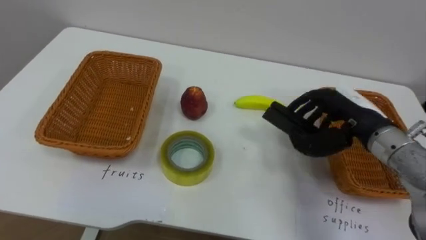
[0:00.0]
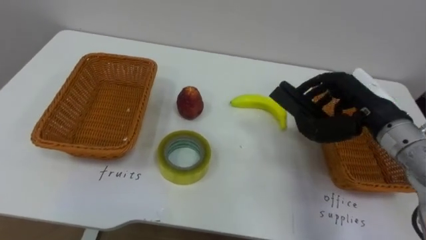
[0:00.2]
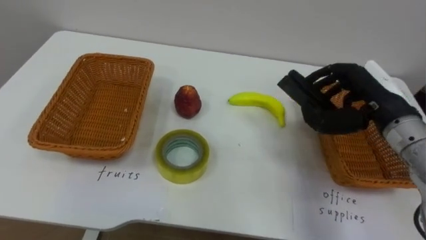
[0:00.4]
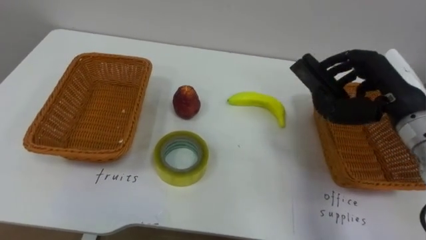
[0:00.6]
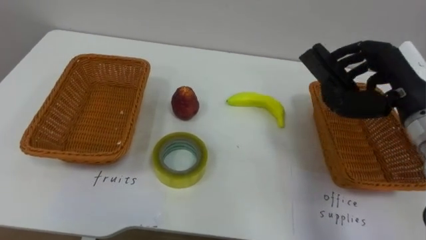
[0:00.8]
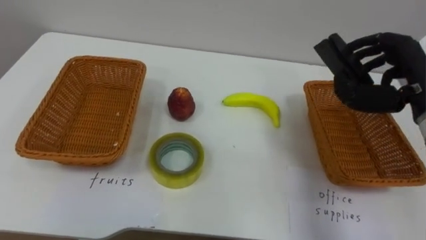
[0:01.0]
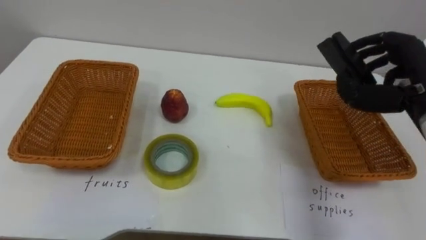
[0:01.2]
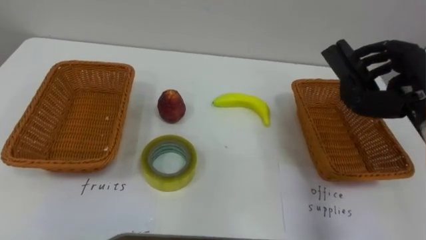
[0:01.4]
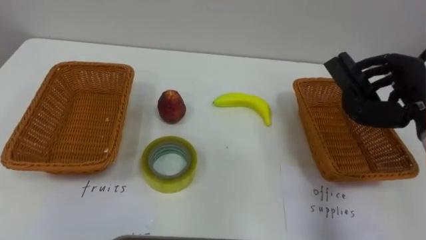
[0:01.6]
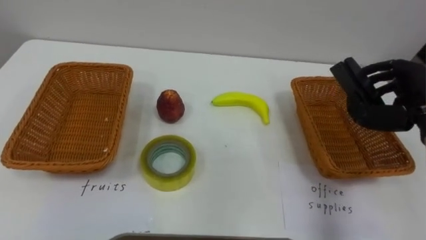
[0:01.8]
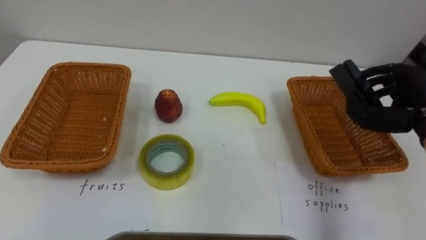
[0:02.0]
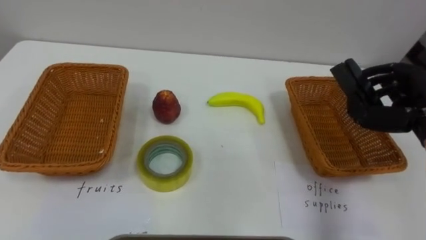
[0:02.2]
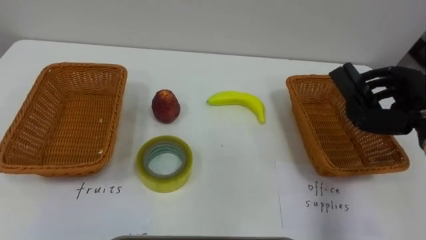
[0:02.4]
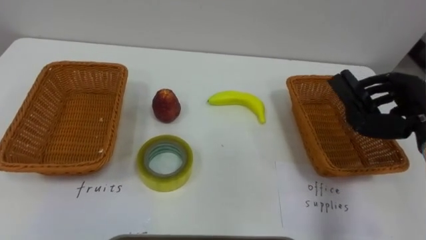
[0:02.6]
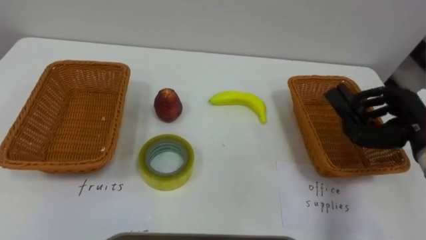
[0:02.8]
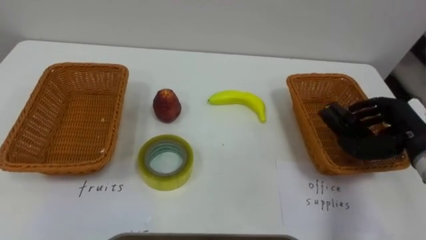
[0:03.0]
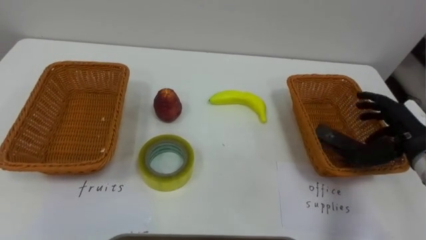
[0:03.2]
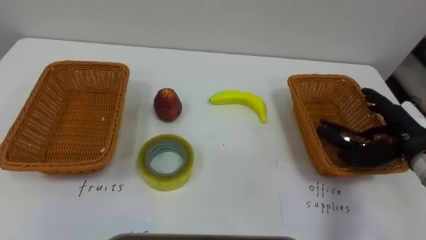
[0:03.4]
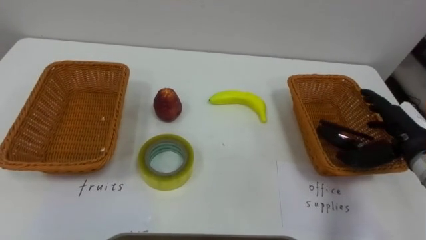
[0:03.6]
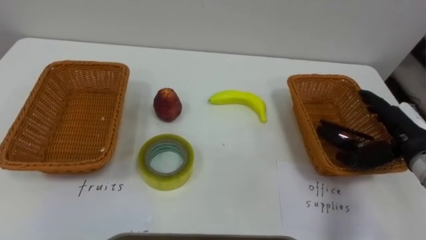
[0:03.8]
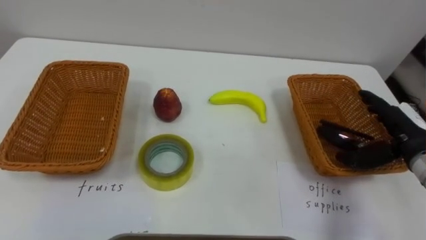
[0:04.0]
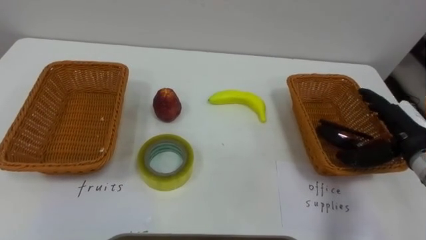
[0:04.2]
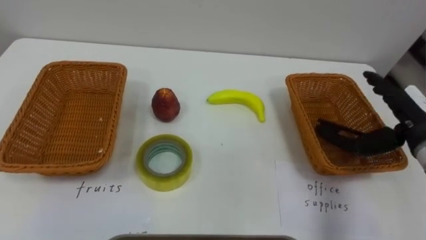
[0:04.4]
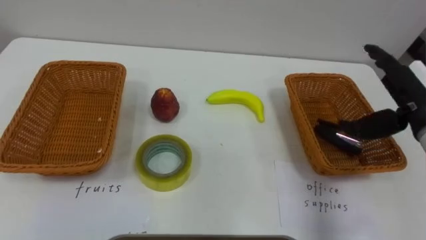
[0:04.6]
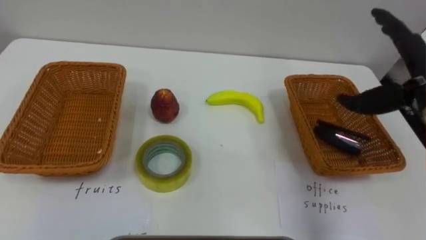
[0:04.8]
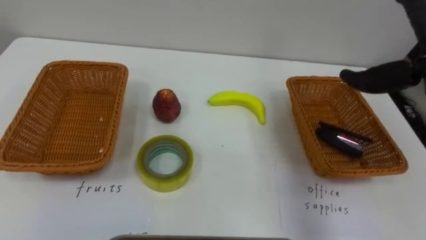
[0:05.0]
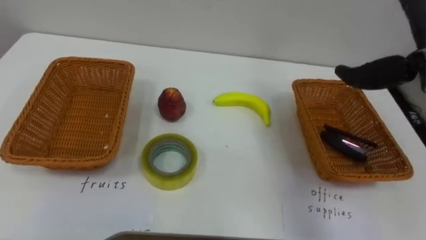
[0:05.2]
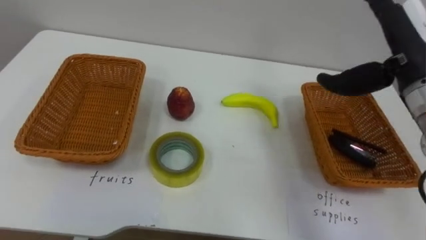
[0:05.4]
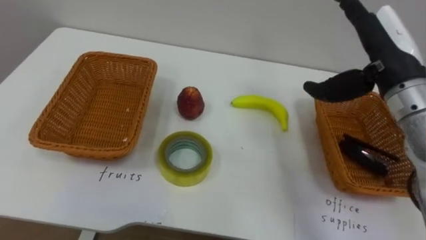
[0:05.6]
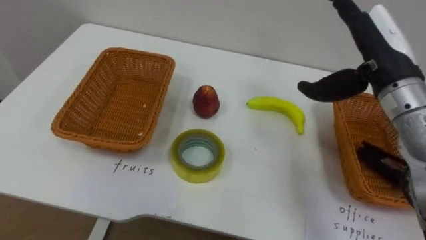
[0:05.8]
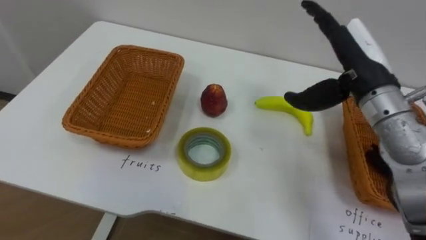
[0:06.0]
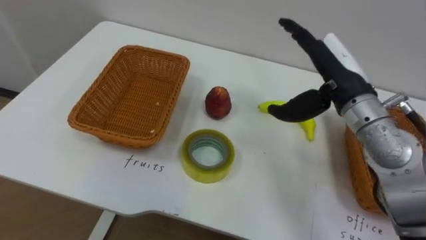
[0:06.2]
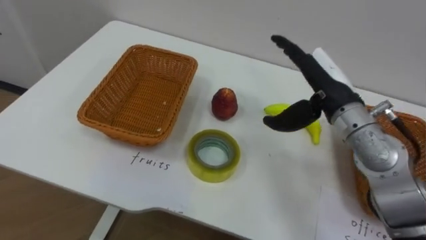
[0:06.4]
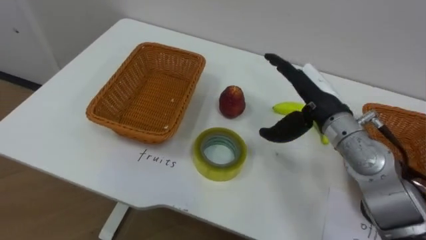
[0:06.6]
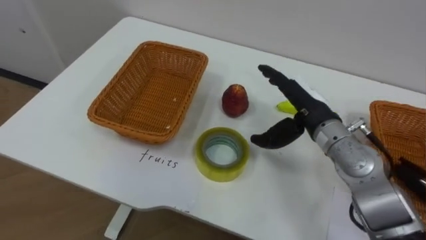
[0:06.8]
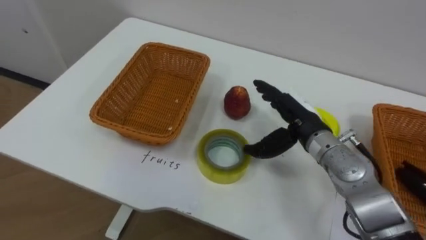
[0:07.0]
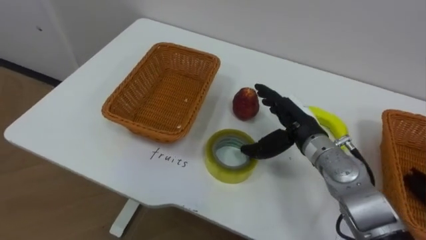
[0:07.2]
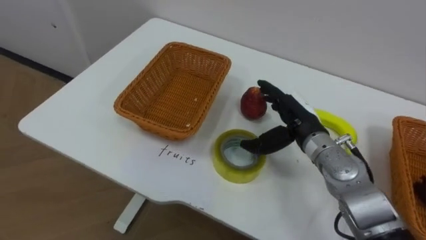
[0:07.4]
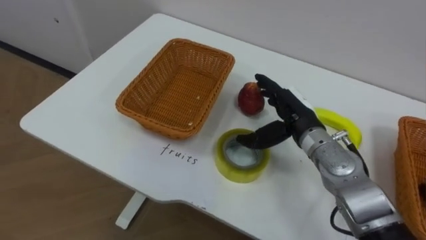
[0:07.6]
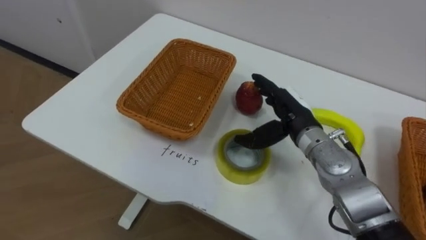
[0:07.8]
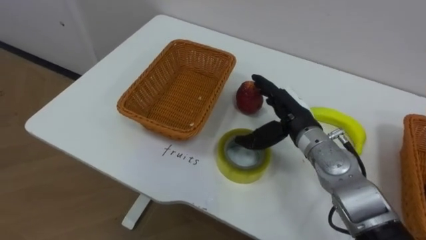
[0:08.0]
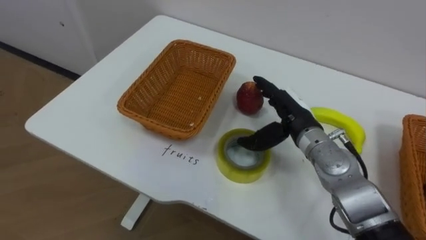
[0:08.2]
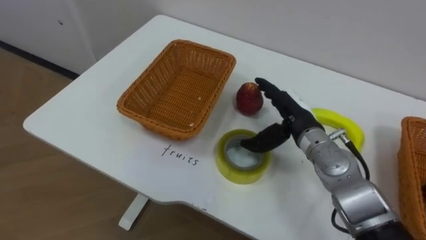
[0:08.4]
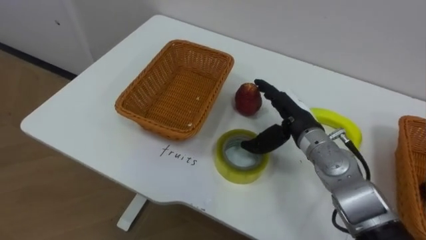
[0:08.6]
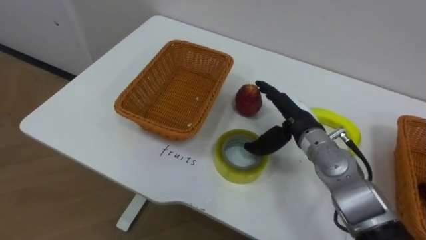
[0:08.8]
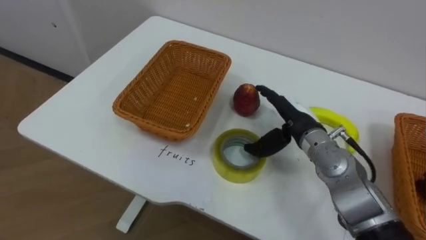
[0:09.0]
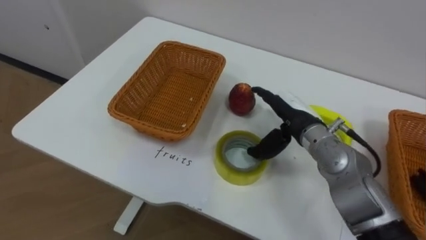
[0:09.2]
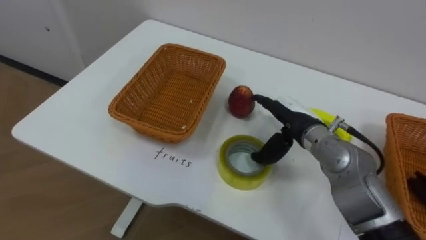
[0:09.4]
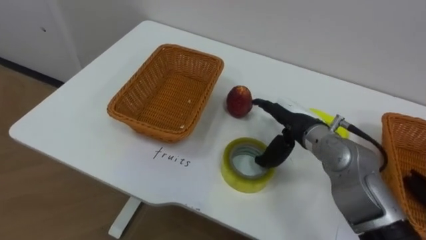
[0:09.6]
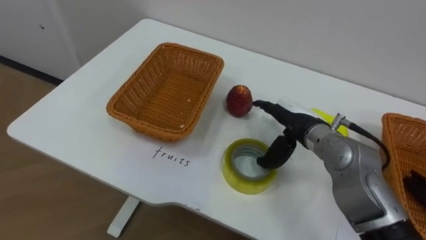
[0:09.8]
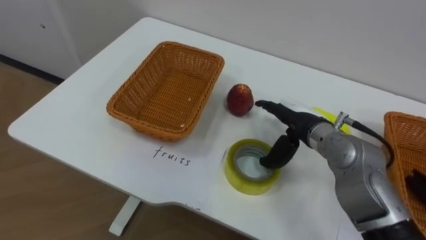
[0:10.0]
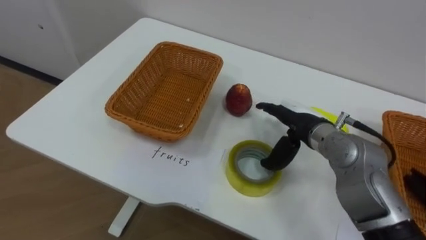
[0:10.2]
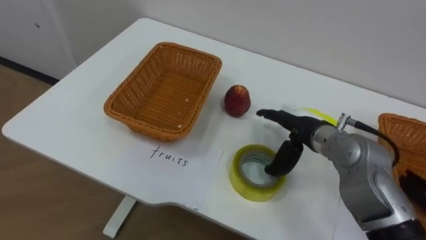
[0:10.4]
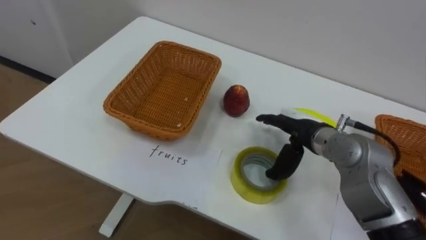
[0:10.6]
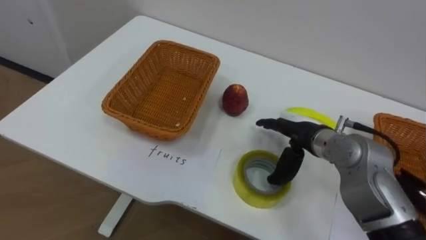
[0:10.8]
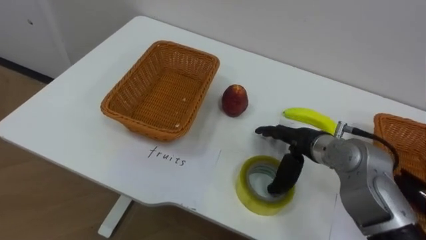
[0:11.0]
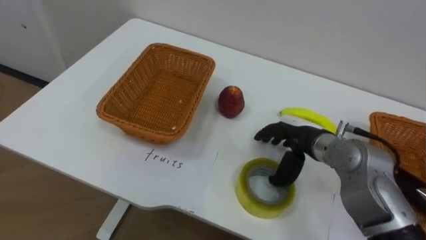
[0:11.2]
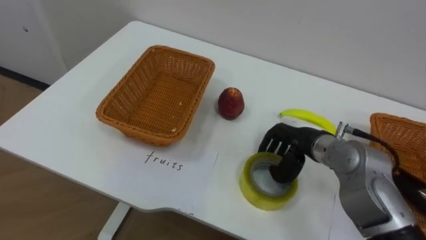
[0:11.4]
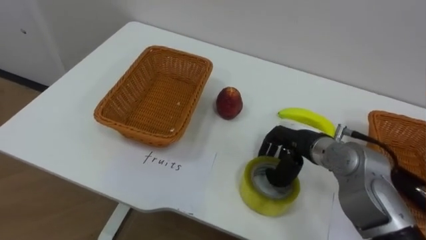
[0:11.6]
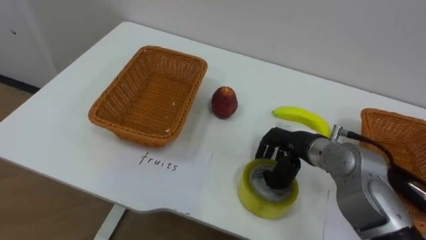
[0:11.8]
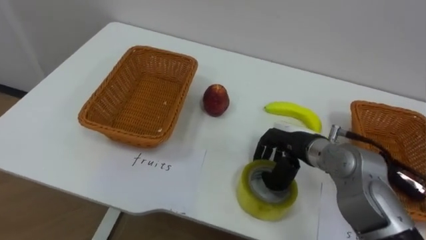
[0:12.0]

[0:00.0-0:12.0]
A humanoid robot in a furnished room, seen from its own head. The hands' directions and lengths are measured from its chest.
Task of the whole recording: Separate the items on the table and place them into the two baskets.
0:00.0 to 0:01.6: The right hand moves to the right, roughly 10 cm.
0:03.0 to 0:04.4: The right hand opens.
0:06.0 to 0:07.6: The right hand shifts roughly 15 cm downward and to the left.
0:10.4 to 0:12.0: The right hand closes up.

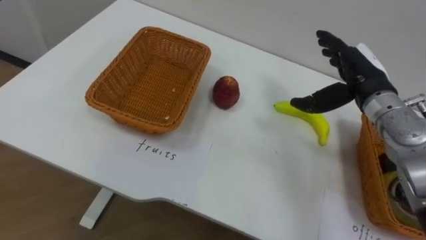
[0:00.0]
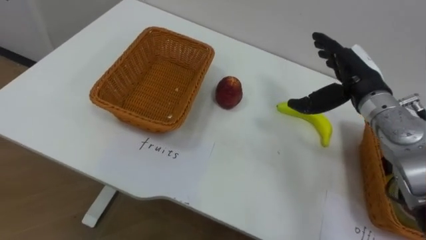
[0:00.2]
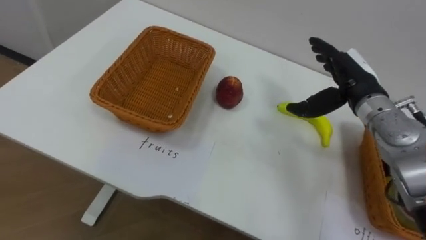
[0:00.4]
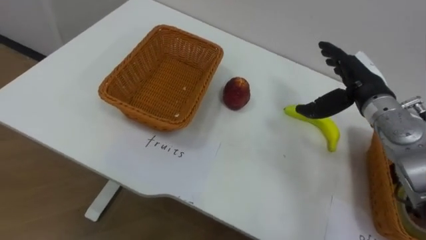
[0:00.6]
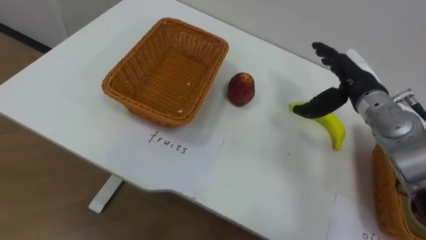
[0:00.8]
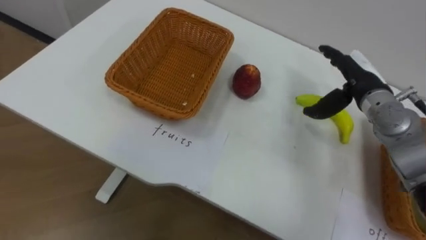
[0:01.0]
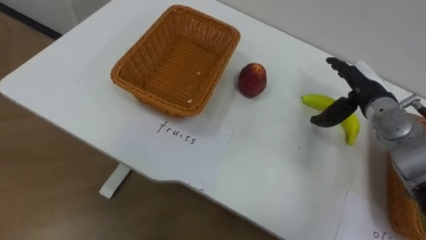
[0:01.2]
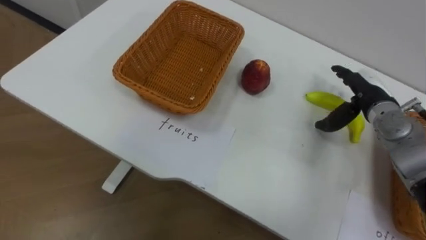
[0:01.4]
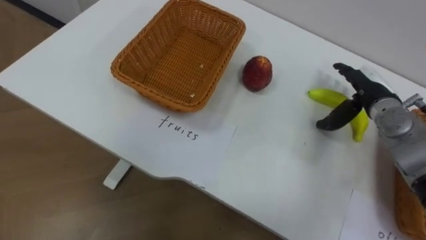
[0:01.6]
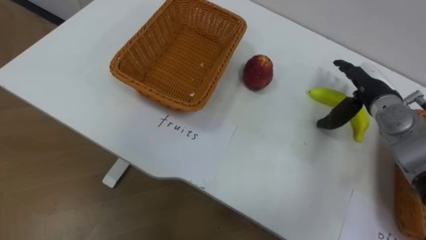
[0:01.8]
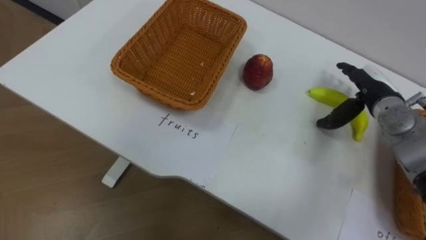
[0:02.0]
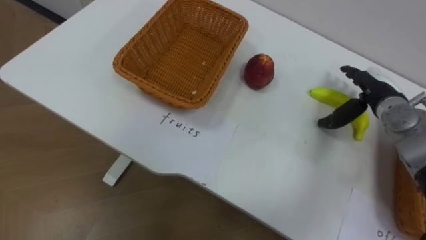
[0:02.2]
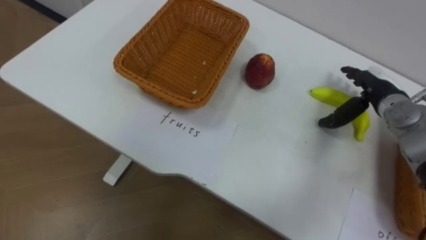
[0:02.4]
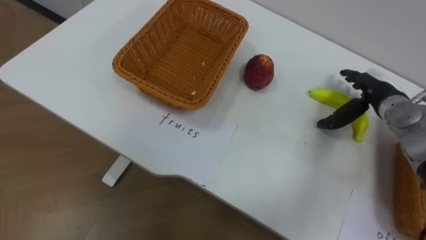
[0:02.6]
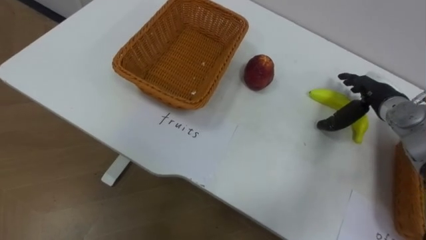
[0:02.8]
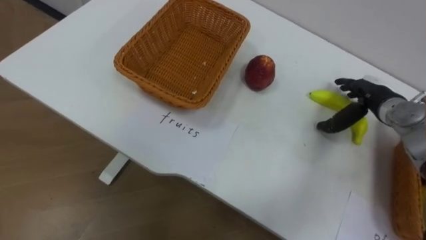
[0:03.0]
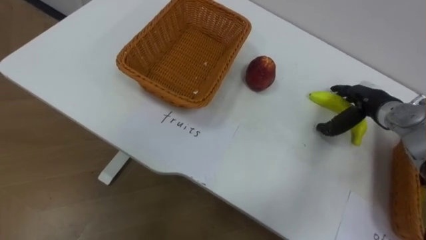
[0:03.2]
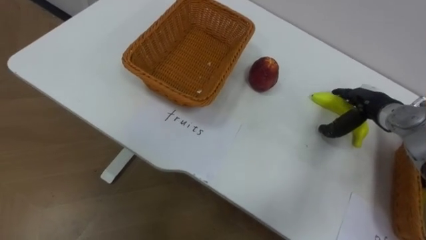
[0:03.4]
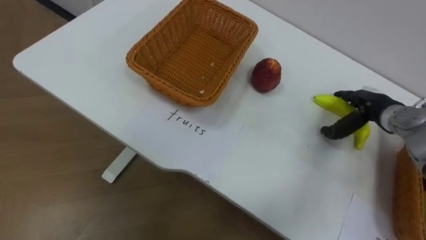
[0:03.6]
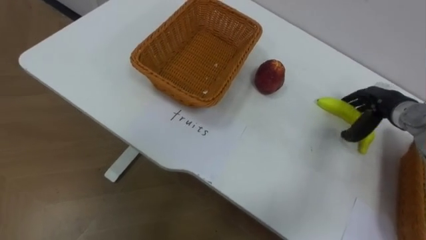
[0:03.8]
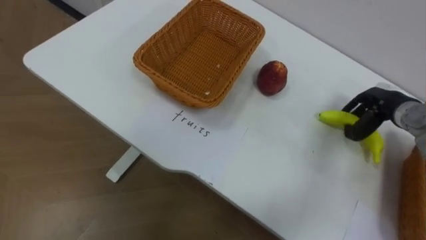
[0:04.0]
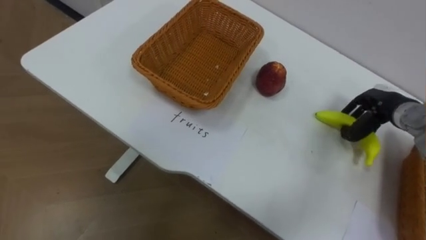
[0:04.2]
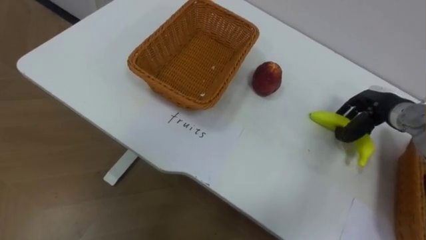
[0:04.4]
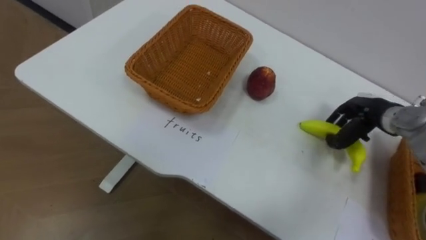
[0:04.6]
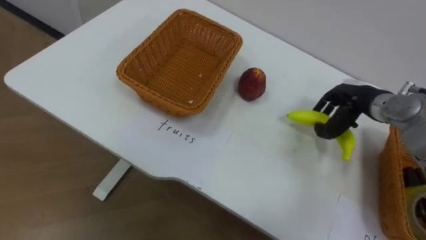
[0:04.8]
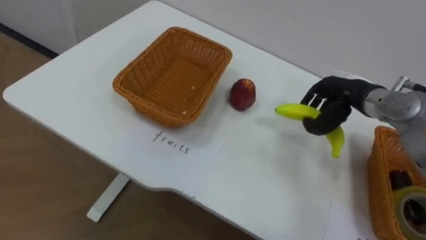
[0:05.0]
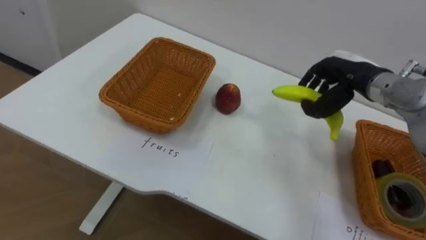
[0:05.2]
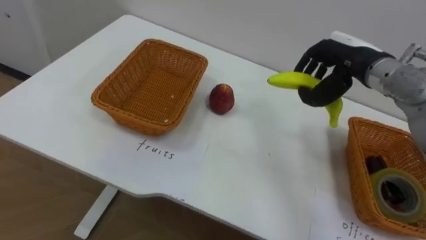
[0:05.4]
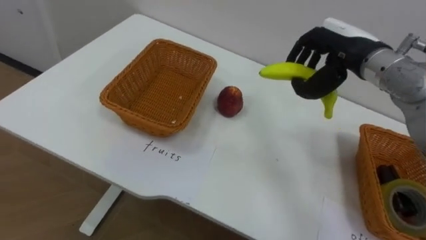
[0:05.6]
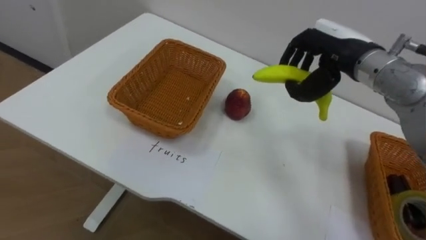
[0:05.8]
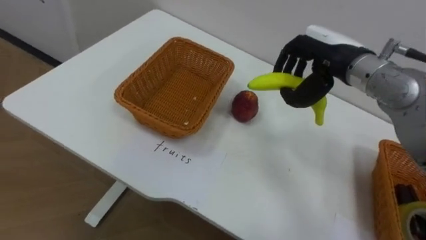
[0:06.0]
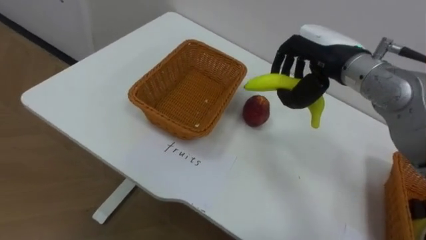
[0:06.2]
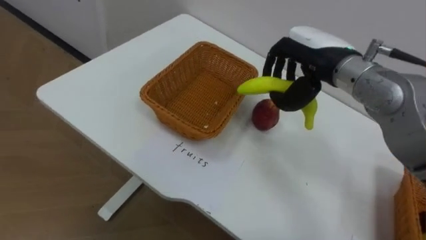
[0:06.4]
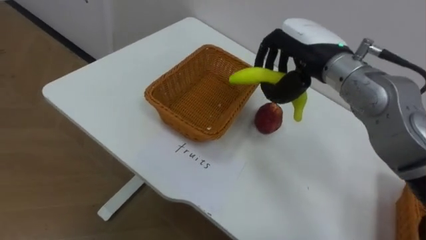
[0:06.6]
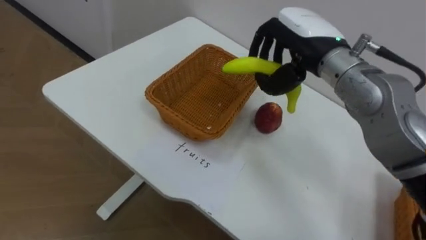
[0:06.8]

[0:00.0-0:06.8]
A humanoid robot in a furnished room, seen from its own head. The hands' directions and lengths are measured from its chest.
Task of the whole recording: Separate the items on the table and place them into the two baskets.
0:00.0 to 0:01.4: The right hand moves downward, approximately 5 cm.
0:02.8 to 0:04.0: The right hand closes its fingers.
0:04.0 to 0:05.4: The right hand travels upward and to the left by approximately 15 cm.
0:05.4 to 0:06.8: The right hand shifts approximately 10 cm to the left.
